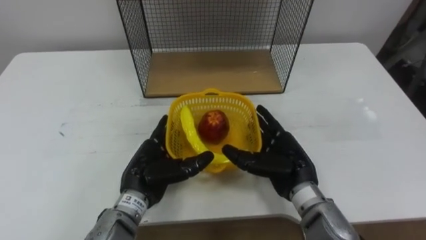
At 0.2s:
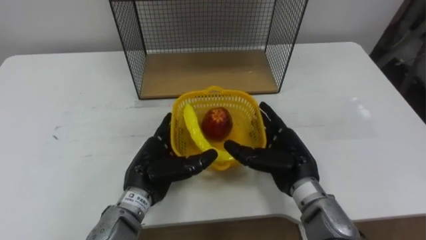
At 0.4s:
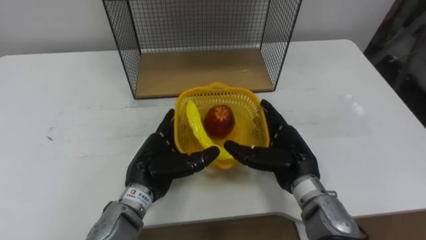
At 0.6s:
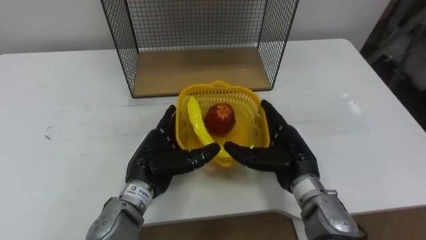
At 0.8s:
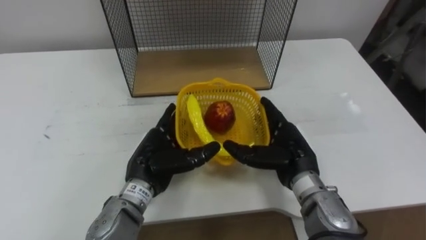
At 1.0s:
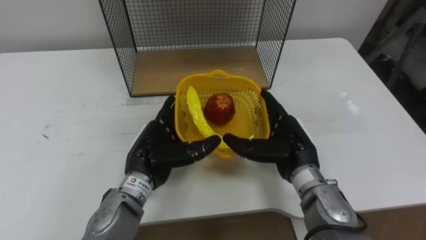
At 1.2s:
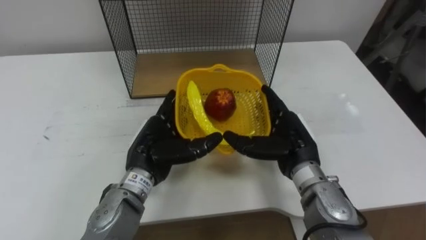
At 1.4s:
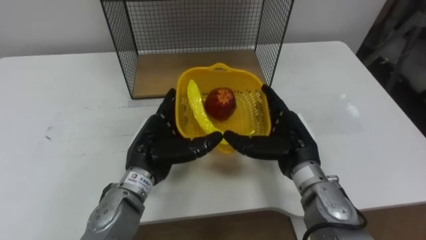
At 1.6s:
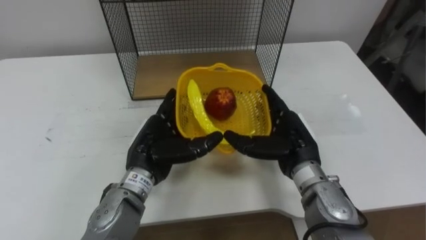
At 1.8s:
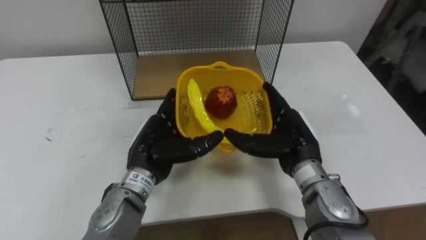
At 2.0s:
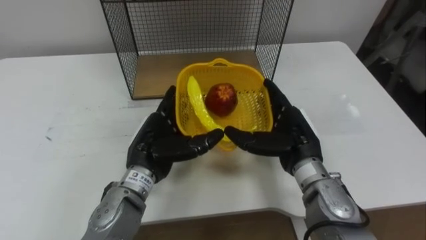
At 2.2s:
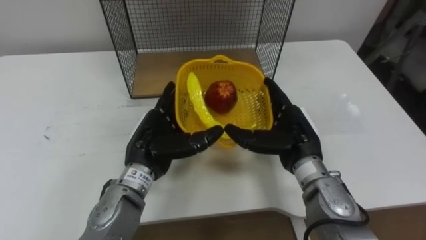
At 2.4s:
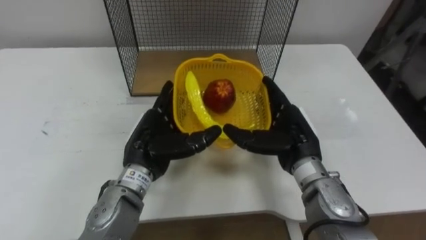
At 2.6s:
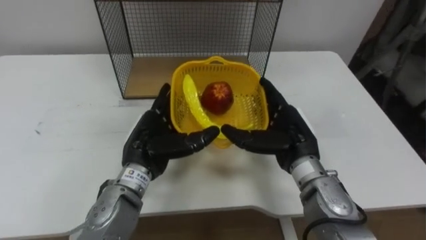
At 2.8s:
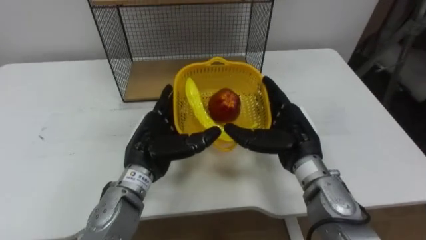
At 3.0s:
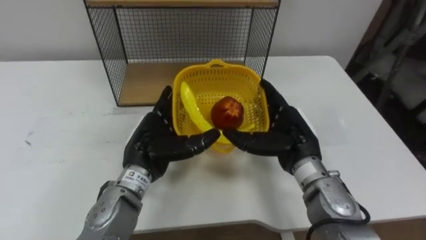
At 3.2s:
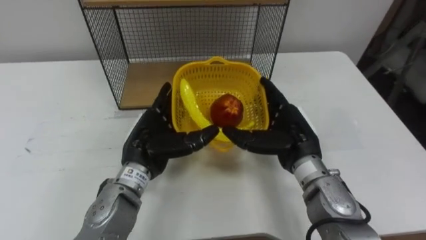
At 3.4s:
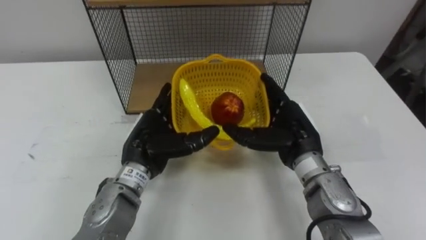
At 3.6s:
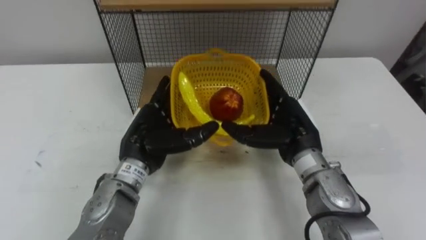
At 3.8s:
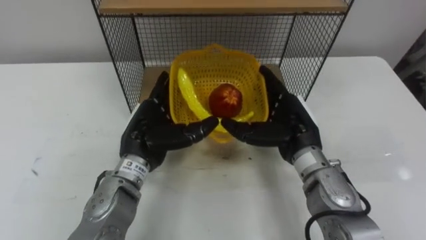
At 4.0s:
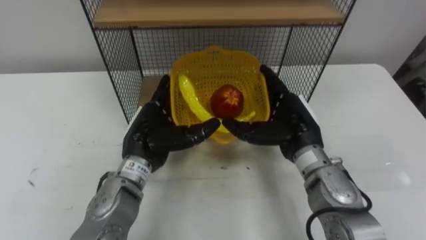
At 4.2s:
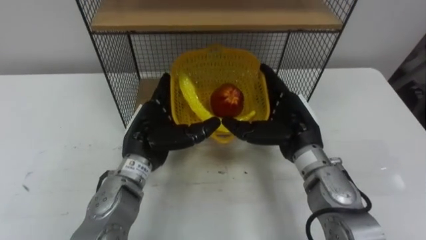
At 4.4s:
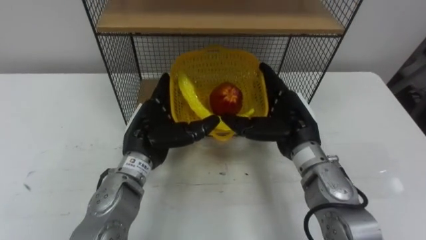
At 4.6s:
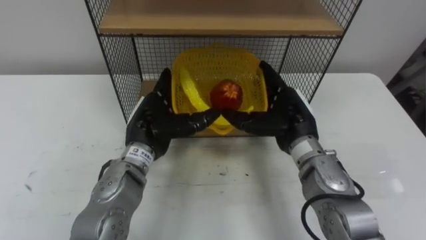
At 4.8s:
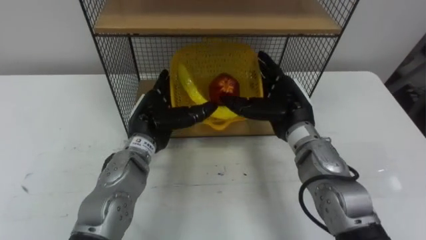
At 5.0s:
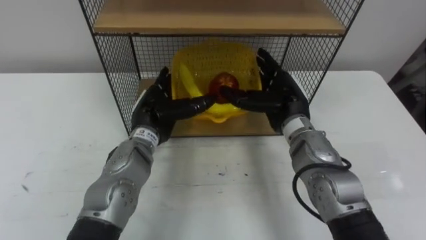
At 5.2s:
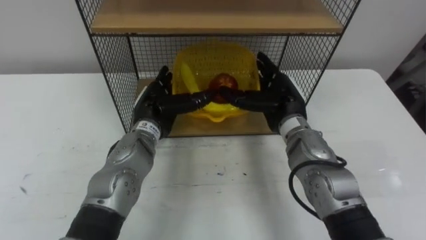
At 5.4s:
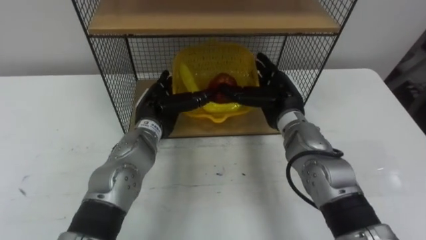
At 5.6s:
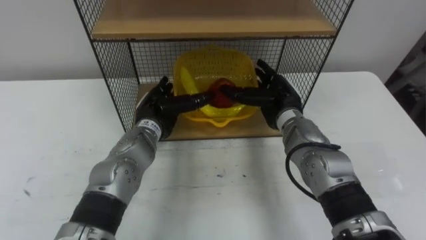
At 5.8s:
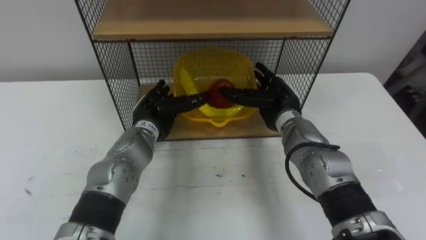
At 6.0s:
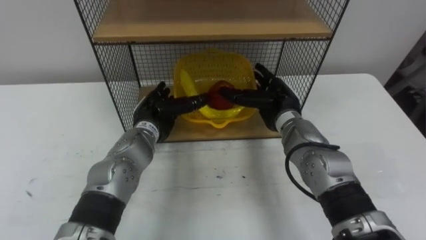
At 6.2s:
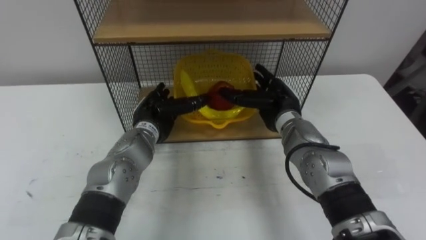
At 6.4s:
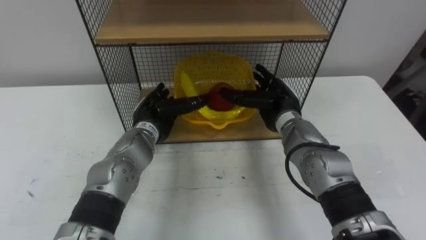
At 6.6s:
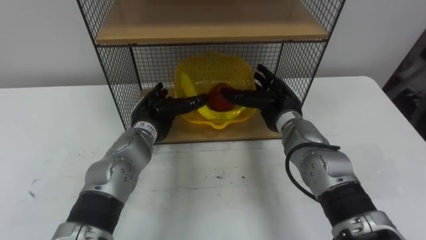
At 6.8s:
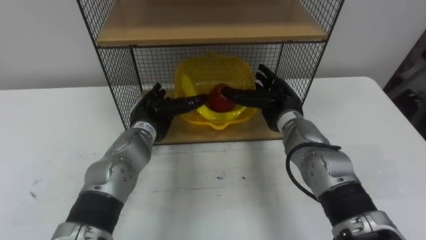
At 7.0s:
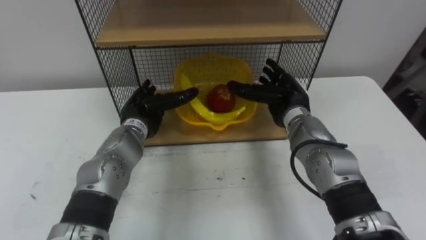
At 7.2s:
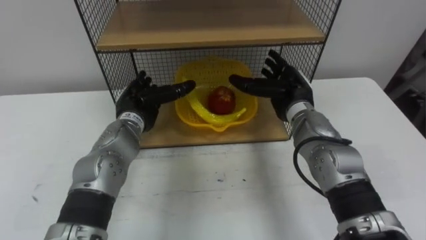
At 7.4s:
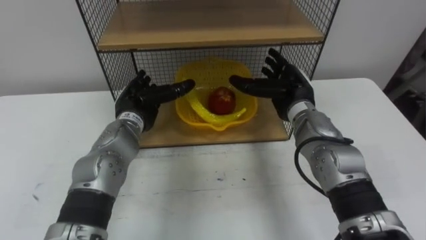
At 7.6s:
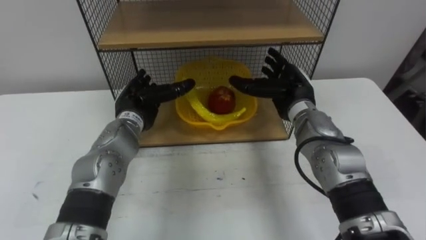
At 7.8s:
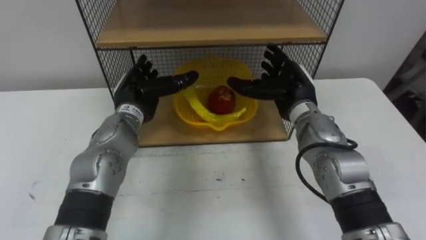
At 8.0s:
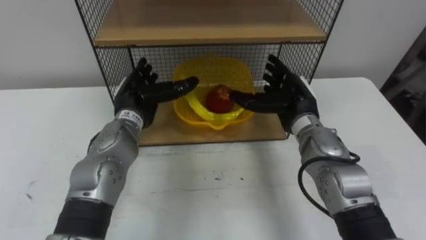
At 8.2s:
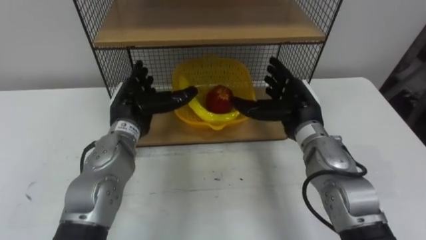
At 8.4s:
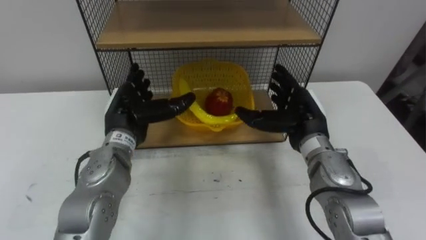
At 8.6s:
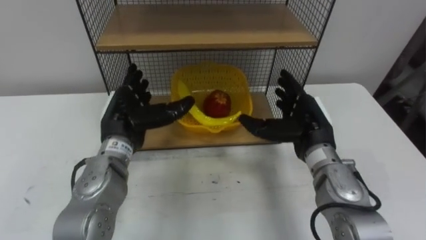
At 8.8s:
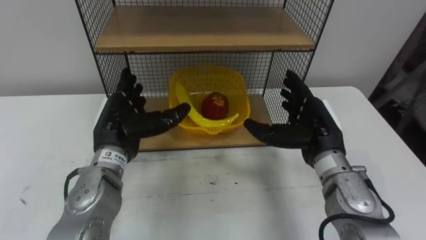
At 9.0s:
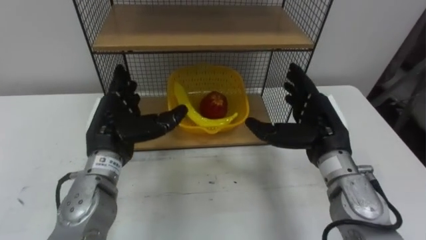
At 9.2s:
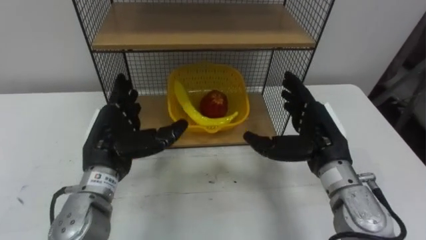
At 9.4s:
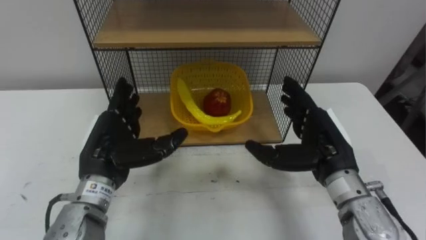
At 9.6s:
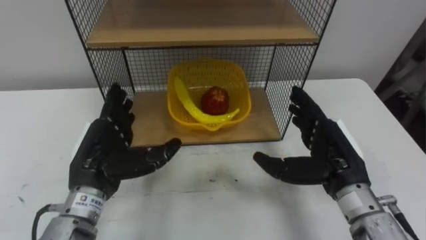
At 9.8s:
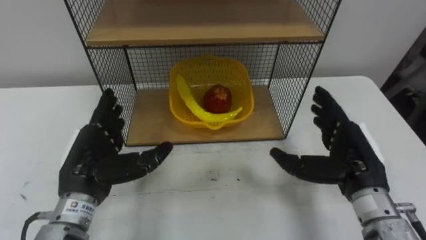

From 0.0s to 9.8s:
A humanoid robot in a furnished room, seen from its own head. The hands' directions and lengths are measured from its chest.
Task of the whole recording: Put the fruit on the table into the basket, then place the basket on the shelf.
From 4.2s to 5.6s: Both hands travel together forward, approximately 10 cm.
From 7.0s to 8.4s: The left hand moves some 5 cm, while the right hand moves backward, some 5 cm.
From 8.4s to 9.8s: The left hand shifts approximately 10 cm backward, while the right hand moves backward and to the right, about 10 cm.

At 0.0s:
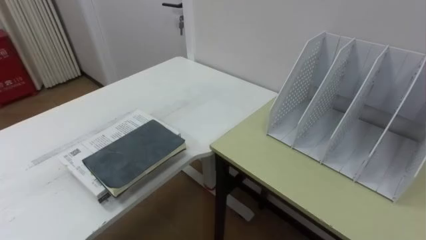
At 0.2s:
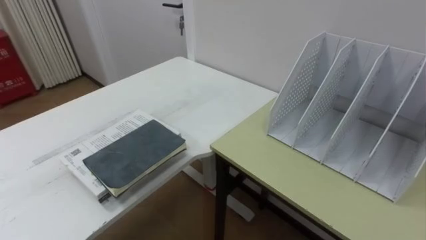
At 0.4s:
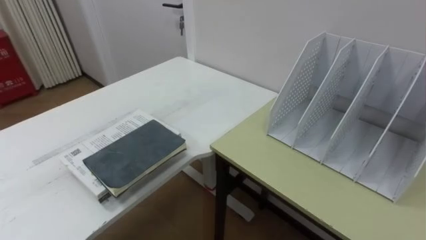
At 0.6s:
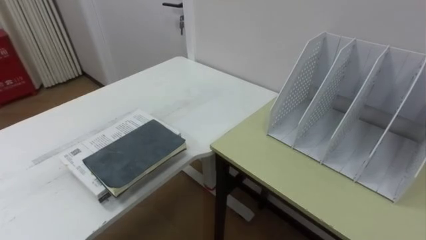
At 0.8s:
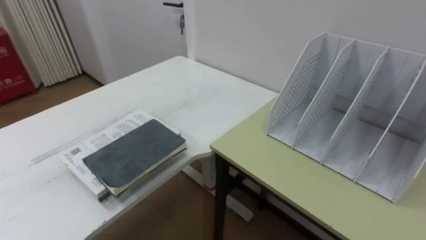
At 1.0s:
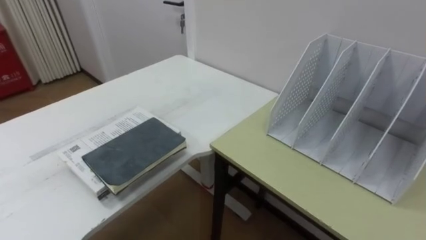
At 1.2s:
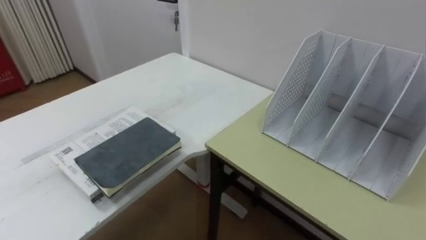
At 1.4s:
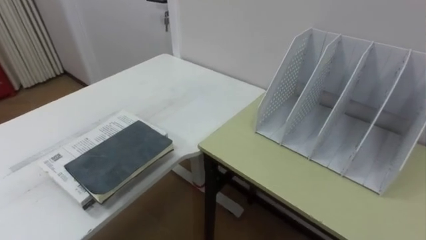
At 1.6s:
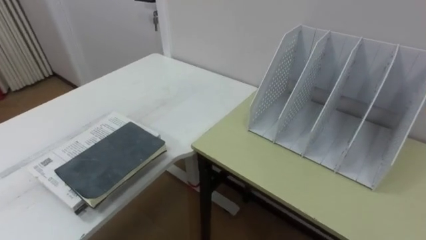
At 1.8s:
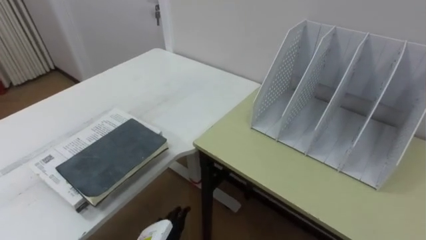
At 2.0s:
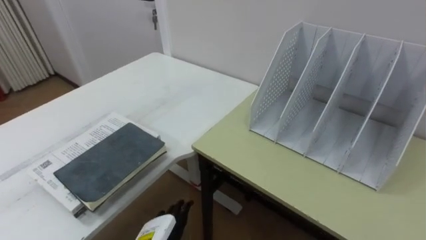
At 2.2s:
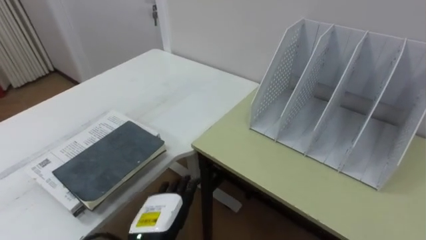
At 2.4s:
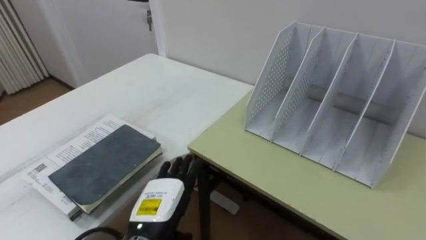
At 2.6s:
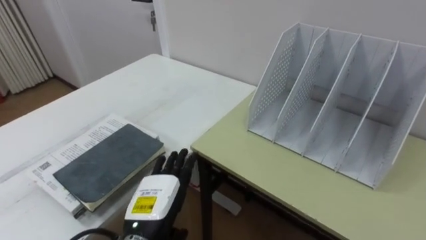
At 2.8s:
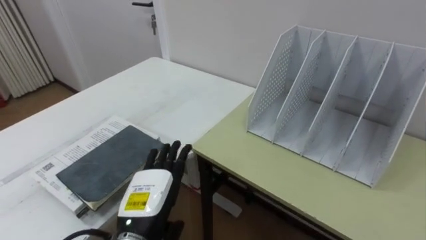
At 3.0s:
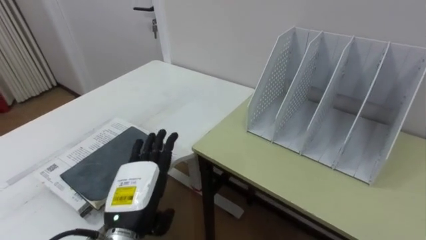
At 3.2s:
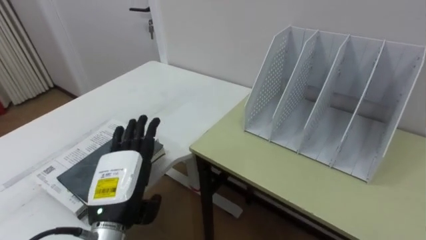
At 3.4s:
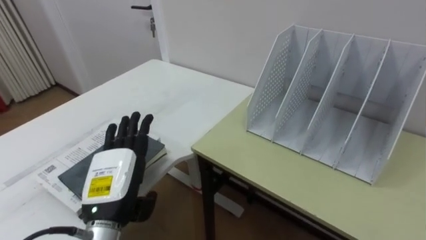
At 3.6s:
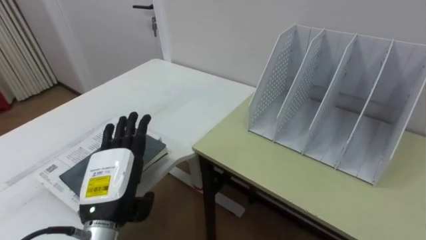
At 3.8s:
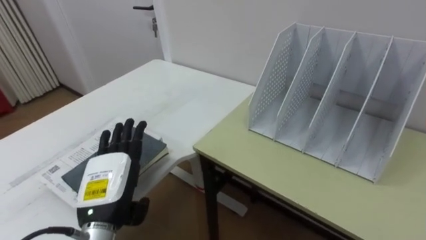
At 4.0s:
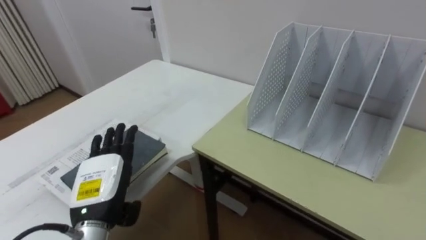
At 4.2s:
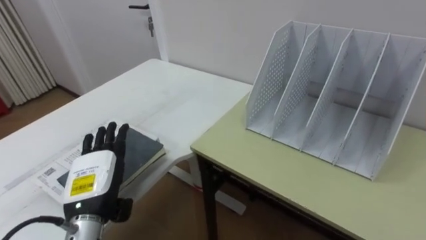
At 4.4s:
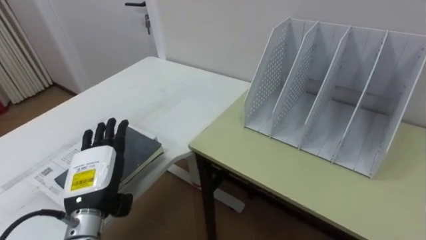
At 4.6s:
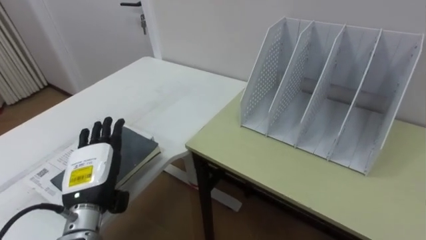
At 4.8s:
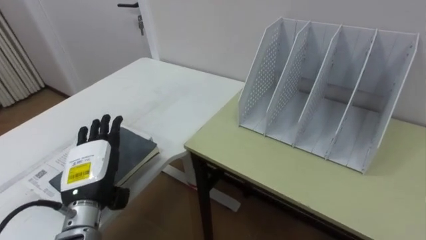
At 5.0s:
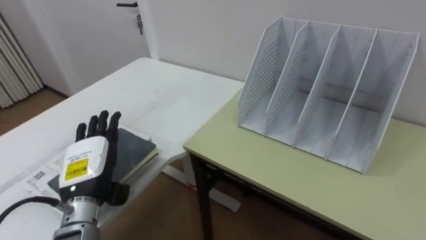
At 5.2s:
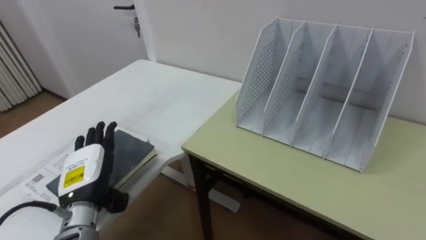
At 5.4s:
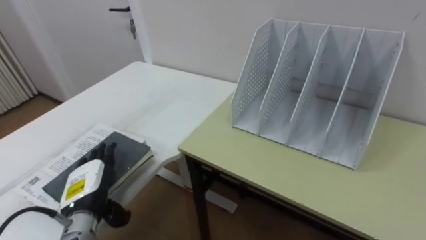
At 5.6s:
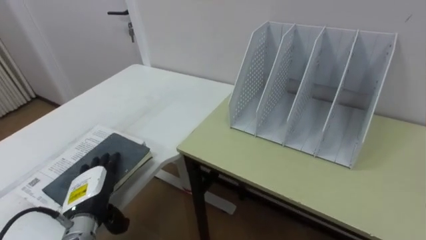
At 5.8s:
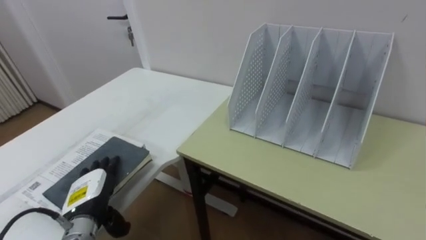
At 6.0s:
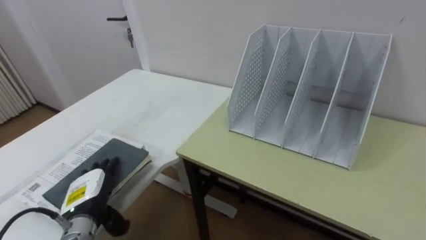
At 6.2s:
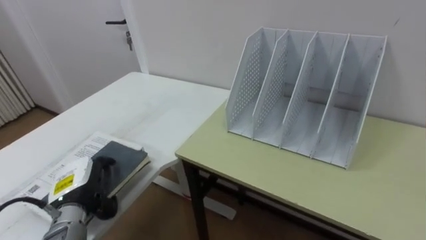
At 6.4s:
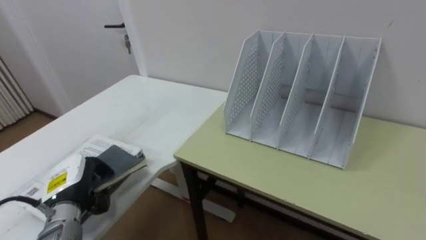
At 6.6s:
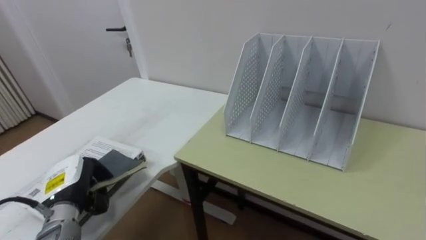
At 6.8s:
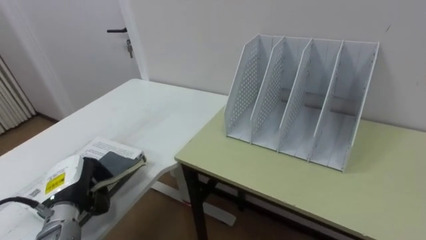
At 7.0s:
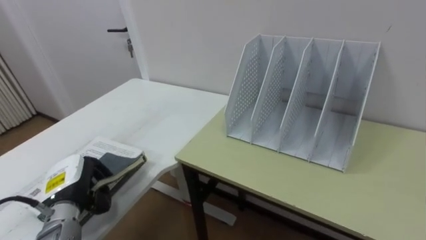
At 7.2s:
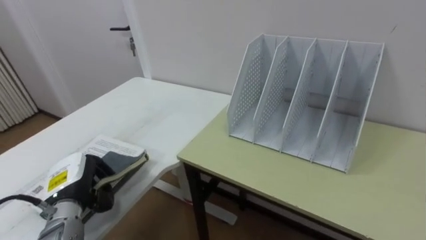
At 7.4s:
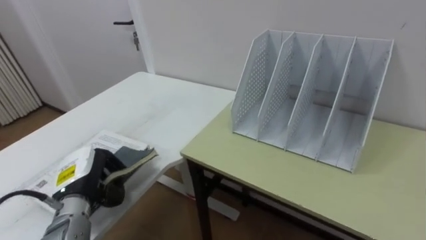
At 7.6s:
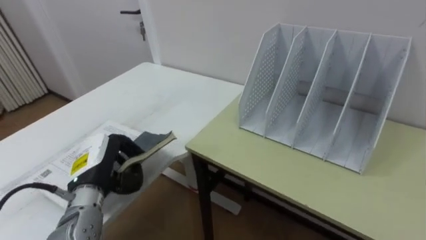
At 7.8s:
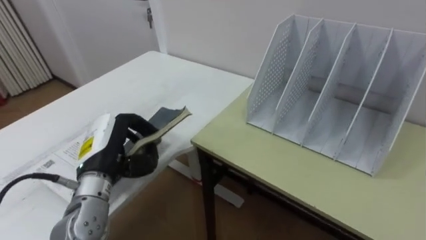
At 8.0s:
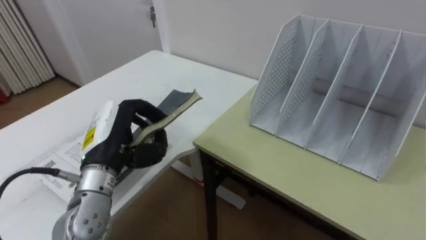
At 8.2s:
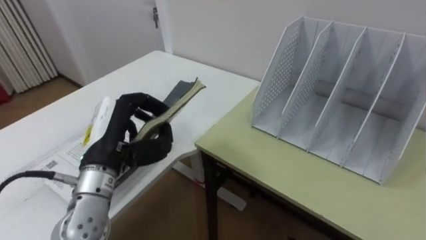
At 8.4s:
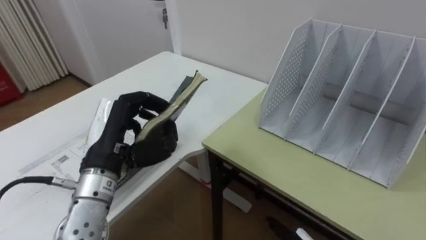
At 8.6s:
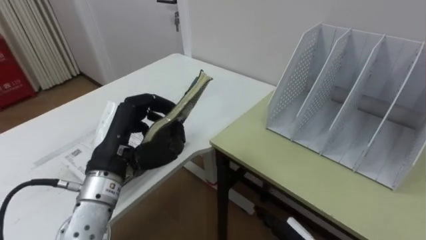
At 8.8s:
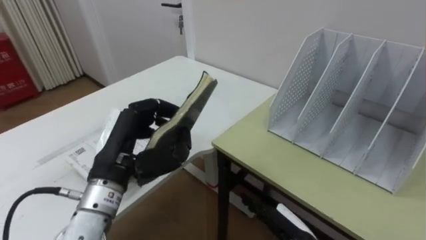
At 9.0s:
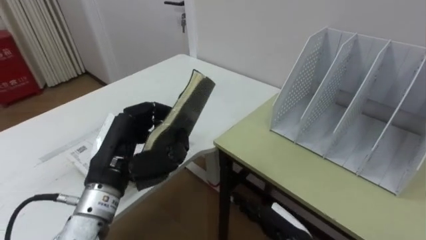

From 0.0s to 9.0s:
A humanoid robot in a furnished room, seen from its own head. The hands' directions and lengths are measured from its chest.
Task of the whole recording: Put the books on the table onto the bookshelf.
From 3.0s to 4.4s: The left hand goes approximately 5 cm to the left.
From 4.4s to 6.0s: The left hand travels downward by about 10 cm.
From 6.0s to 7.6s: The left hand is displaced upward by about 5 cm, and closes its fingers.
From 7.6s to 9.0s: The left hand goes approximately 10 cm upward and to the right.
